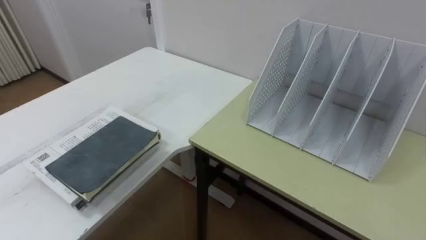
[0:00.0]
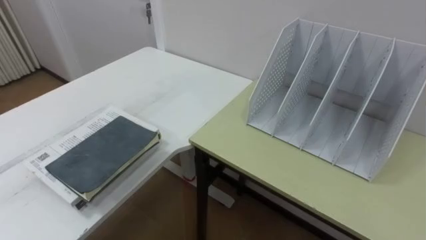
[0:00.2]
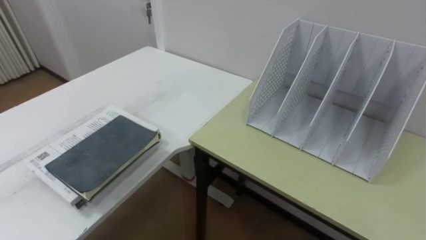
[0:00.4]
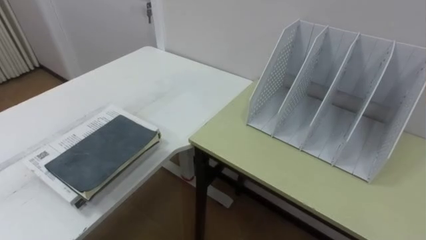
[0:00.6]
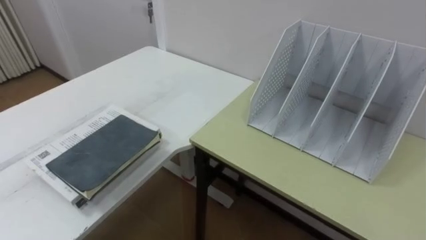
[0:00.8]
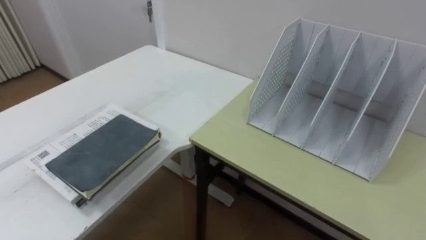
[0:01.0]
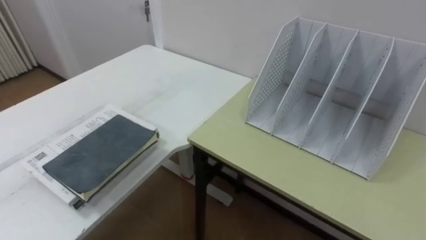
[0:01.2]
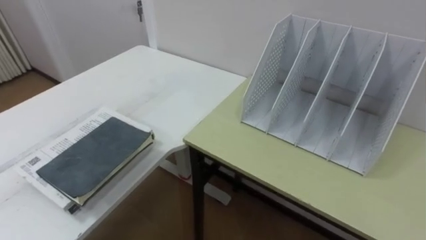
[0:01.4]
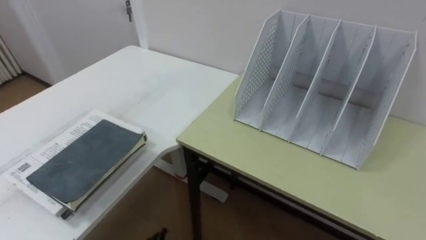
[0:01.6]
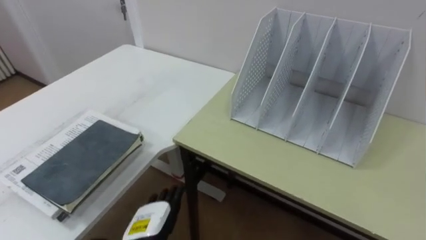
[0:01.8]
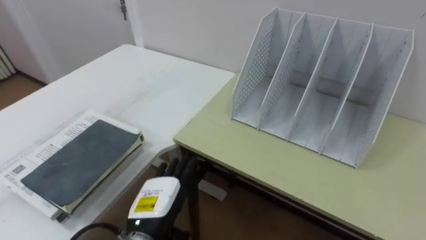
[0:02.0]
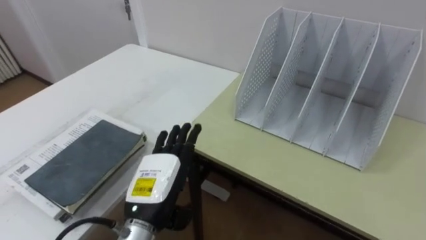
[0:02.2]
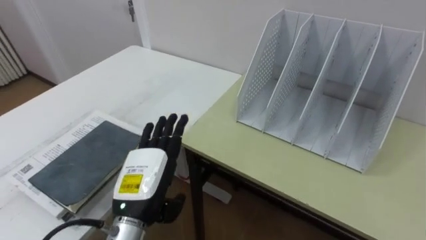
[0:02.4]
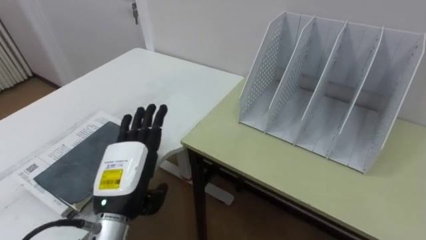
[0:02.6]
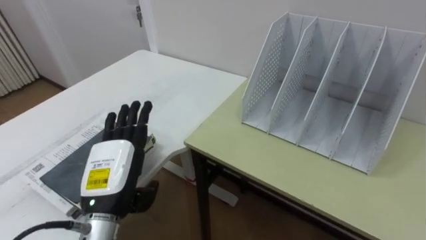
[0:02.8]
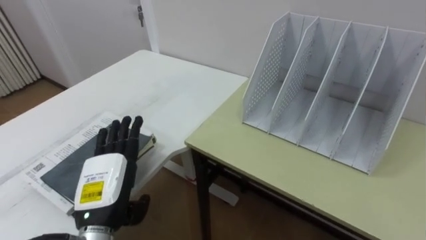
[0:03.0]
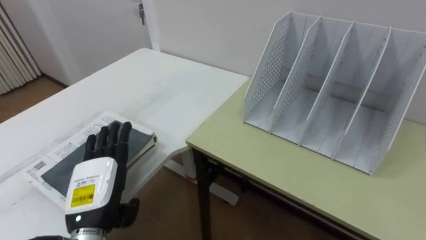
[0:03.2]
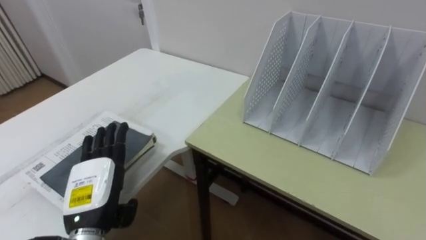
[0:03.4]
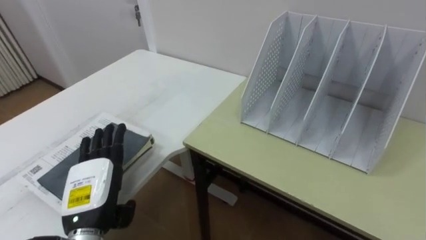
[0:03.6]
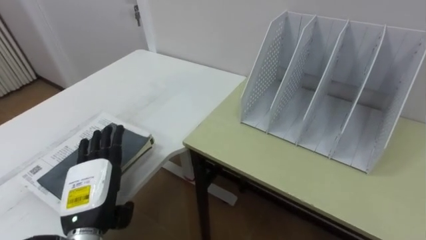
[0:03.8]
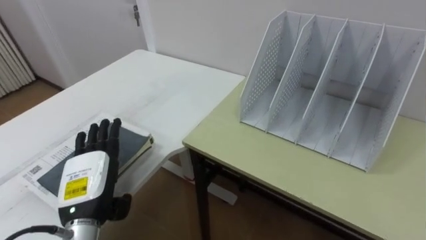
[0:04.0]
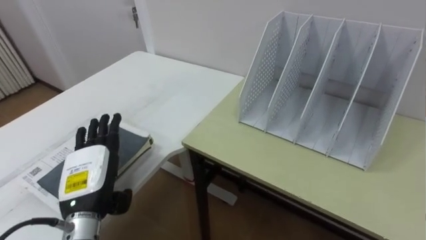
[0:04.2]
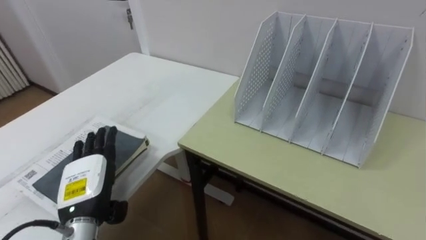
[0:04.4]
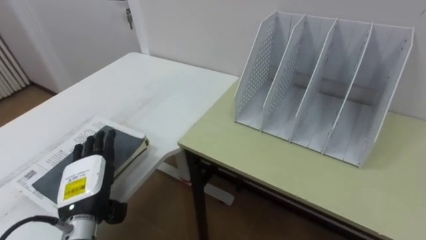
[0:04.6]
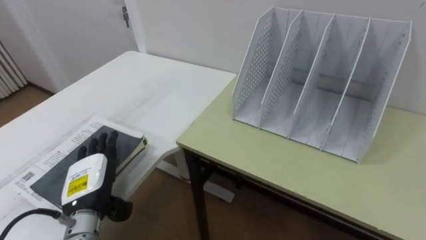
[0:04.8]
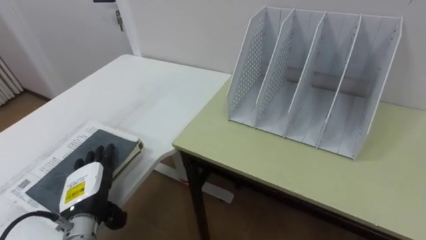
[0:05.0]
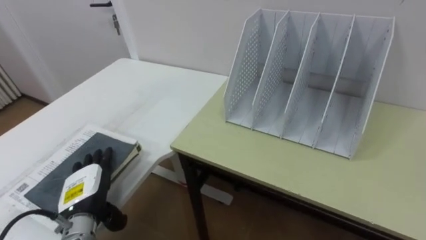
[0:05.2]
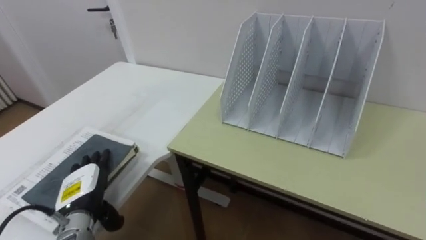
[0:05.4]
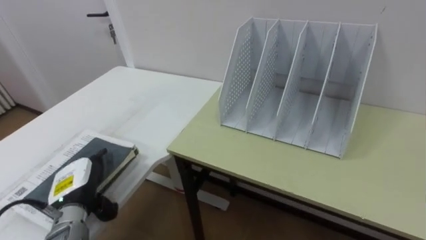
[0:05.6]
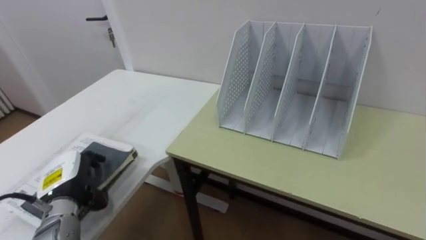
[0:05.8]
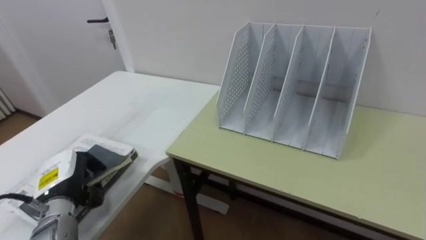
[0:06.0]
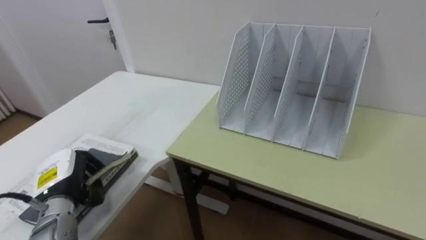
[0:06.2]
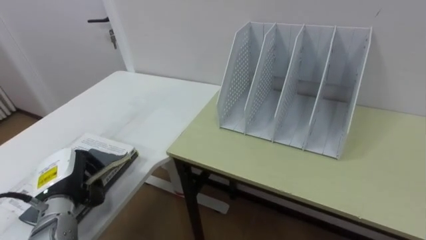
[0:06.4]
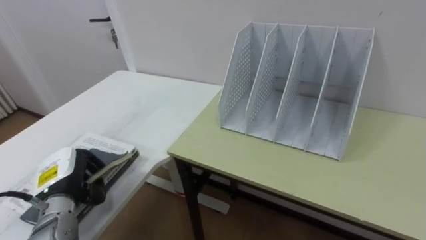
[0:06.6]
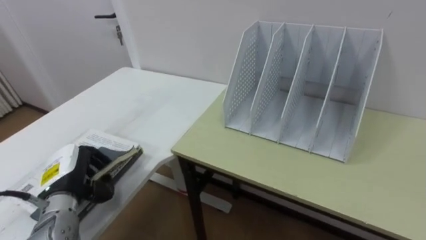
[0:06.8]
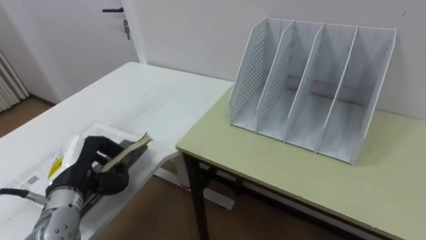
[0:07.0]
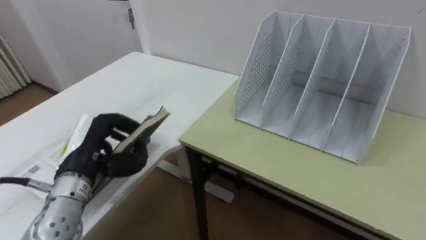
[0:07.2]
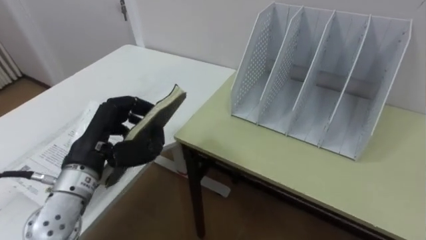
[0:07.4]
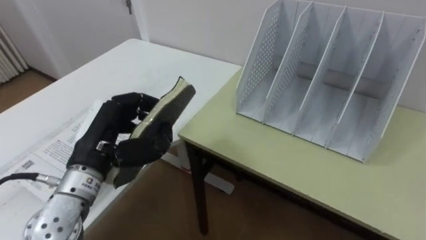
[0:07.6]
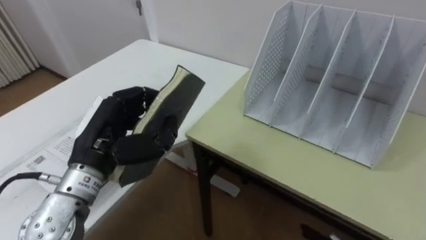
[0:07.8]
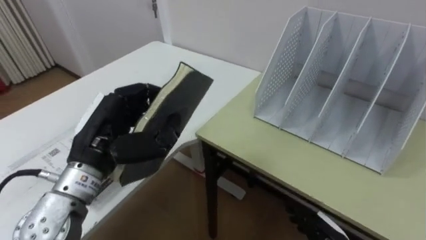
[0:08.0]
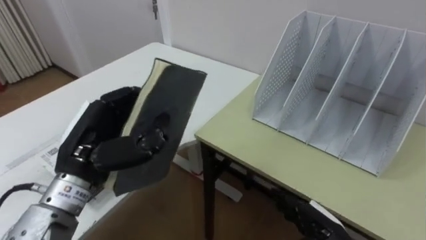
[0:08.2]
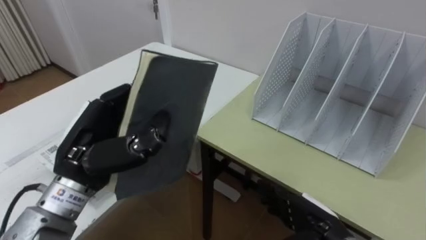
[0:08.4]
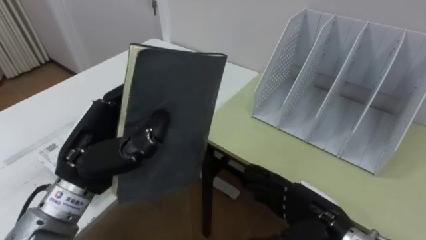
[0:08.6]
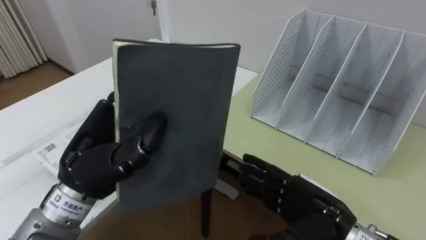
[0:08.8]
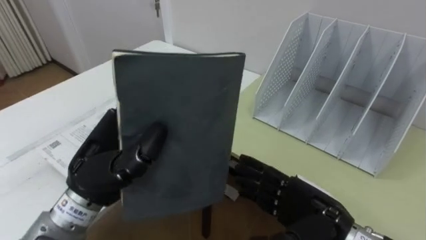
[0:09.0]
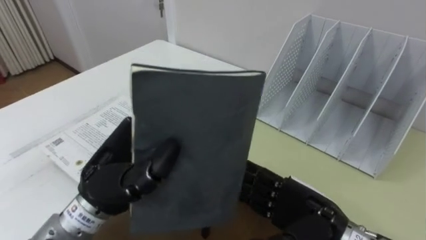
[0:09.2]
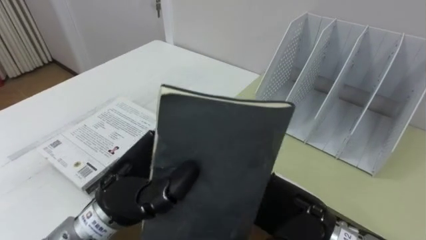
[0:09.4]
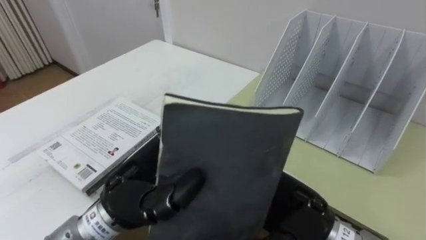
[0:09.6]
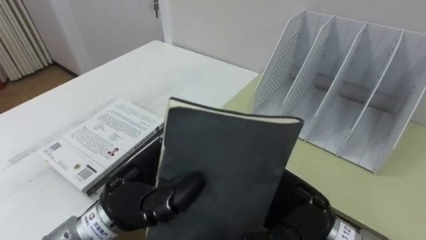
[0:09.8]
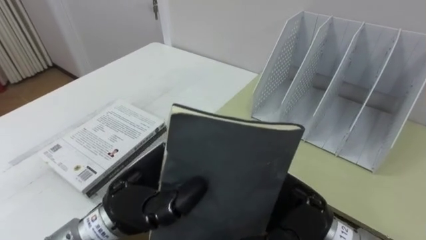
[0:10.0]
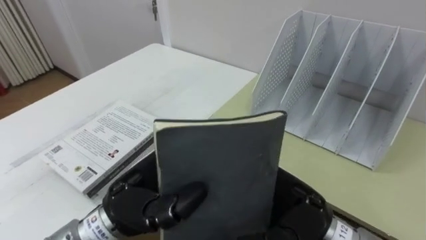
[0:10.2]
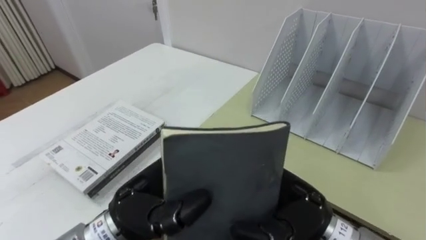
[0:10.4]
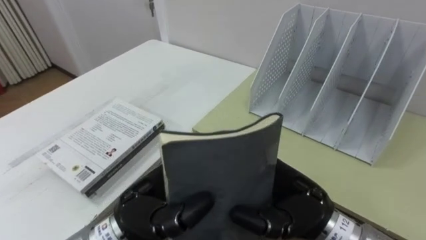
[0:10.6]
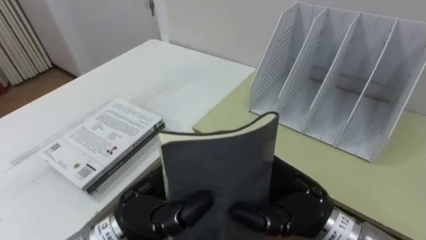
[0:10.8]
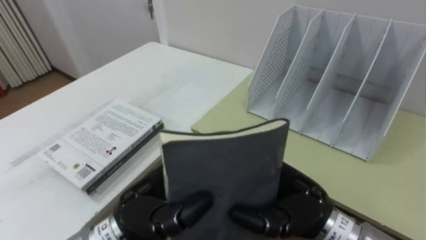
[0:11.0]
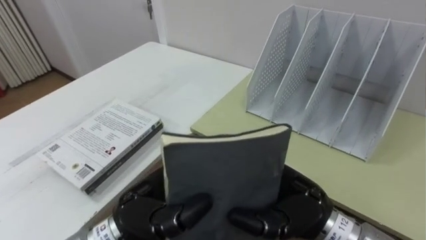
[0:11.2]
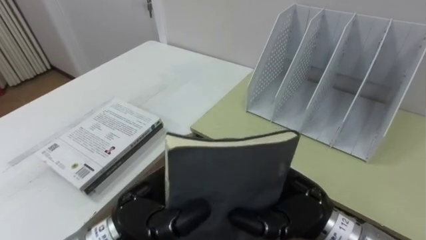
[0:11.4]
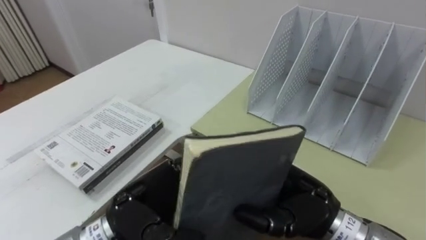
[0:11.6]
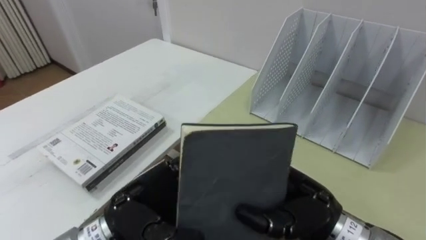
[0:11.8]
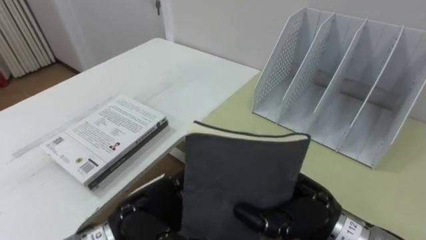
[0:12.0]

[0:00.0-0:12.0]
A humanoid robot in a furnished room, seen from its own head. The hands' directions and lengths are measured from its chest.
Task of the whole recording: Put the books on the table onto the bookshelf.
0:03.0 to 0:04.4: The left hand ends up some 5 cm from where it was.
0:04.4 to 0:06.0: The left hand is displaced to the left by about 5 cm, and closes.
0:06.0 to 0:07.6: The left hand shifts about 15 cm upward and to the right.
0:07.6 to 0:09.0: The left hand changes place by about 5 cm.
0:09.0 to 0:10.4: The right hand travels upward and to the left by about 10 cm, while the left hand is displaced to the right and downward by some 5 cm.
0:10.4 to 0:12.0: The right hand closes up. Meanwhile the left hand travels downward by approximately 5 cm, and opens its fingers.

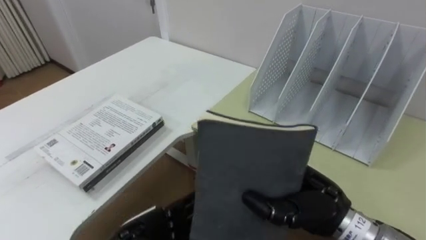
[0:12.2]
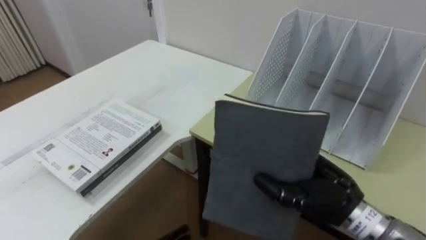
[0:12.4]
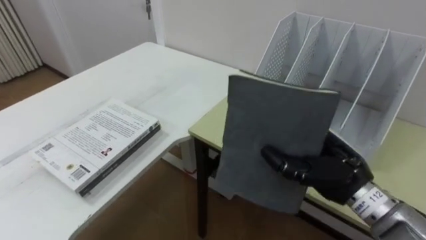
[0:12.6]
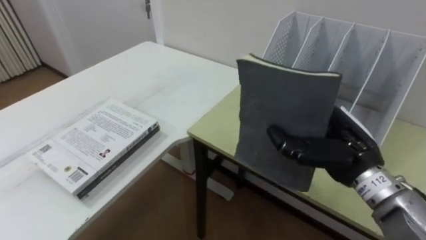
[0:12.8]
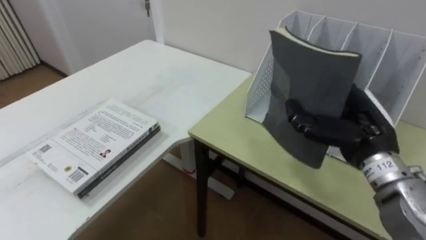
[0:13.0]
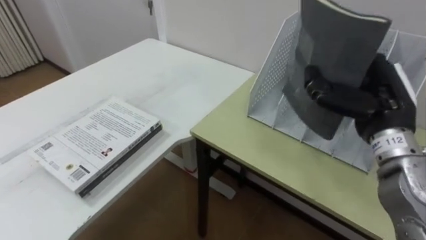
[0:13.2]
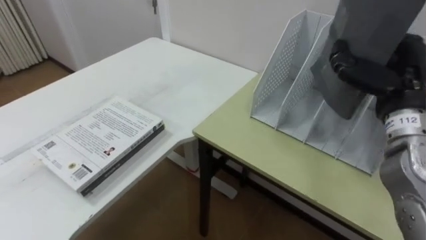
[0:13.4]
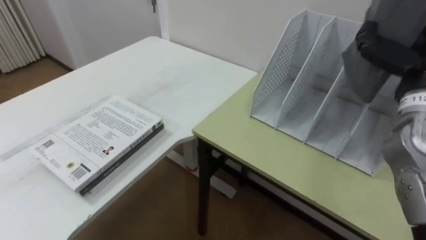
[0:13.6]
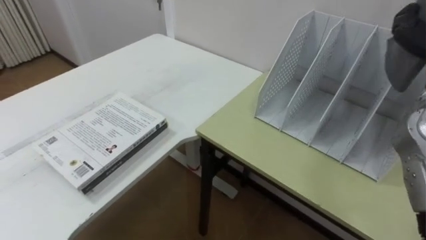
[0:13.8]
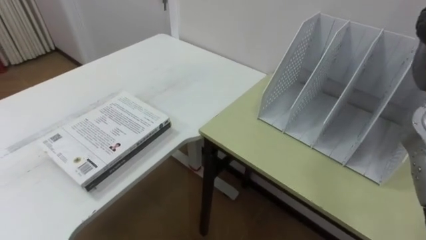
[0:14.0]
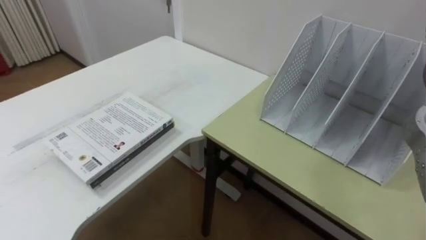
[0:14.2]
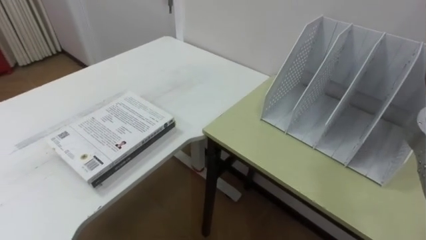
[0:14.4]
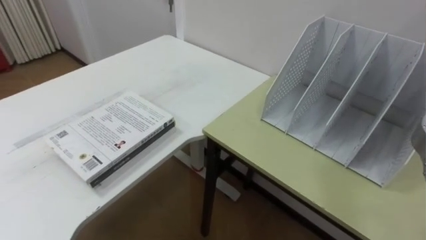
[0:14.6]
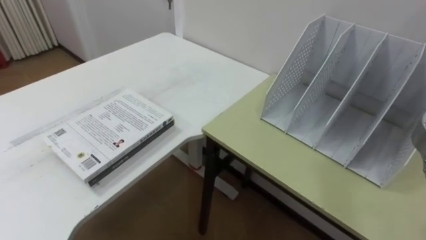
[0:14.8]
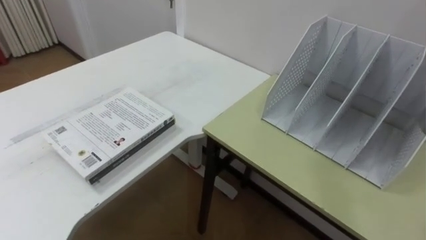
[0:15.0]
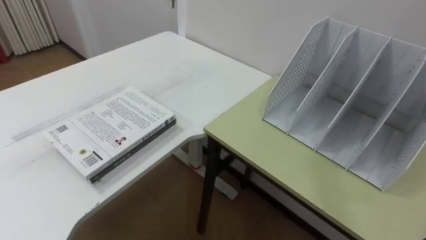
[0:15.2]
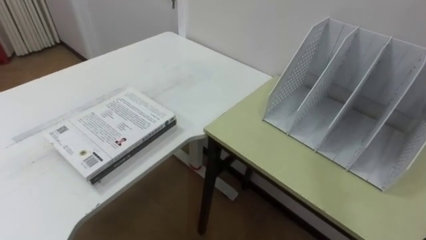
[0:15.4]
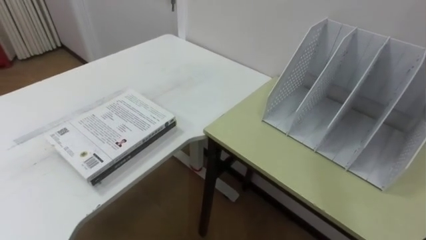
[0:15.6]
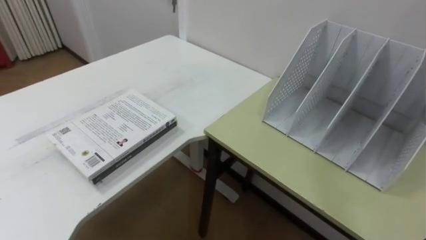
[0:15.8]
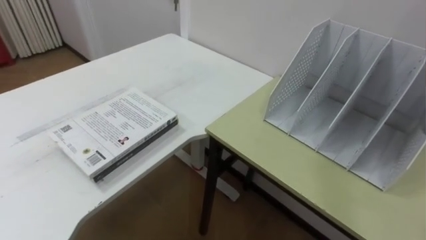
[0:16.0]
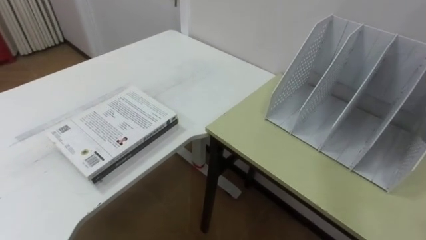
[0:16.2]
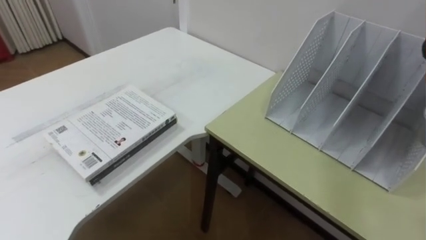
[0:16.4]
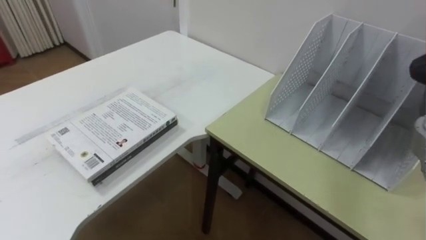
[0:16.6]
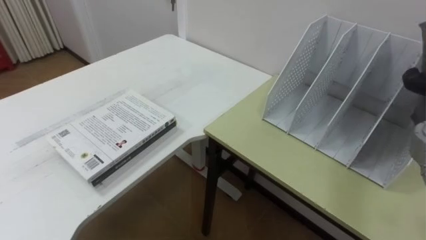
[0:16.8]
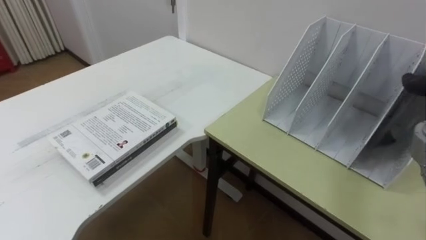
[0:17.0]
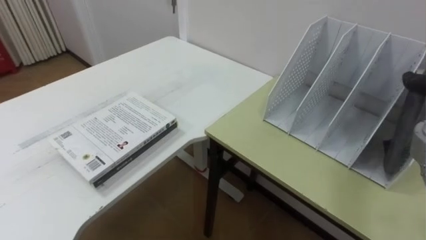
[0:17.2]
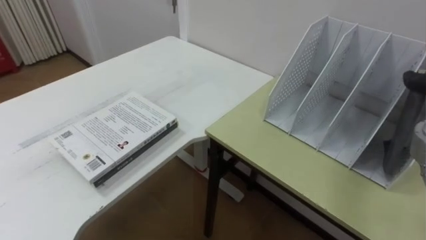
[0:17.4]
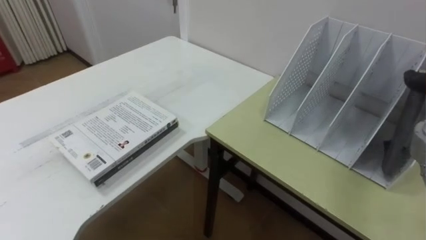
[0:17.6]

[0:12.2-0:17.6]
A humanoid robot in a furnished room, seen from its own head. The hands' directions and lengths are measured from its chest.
Task of the whole recording: Put the books on the table onto the bookshelf.
0:12.2 to 0:13.6: The right hand goes about 25 cm to the right, upward and forward.
